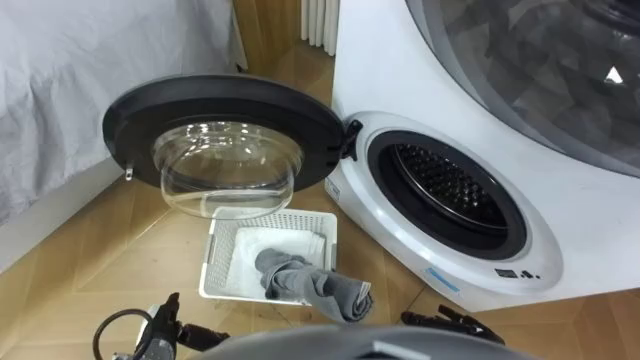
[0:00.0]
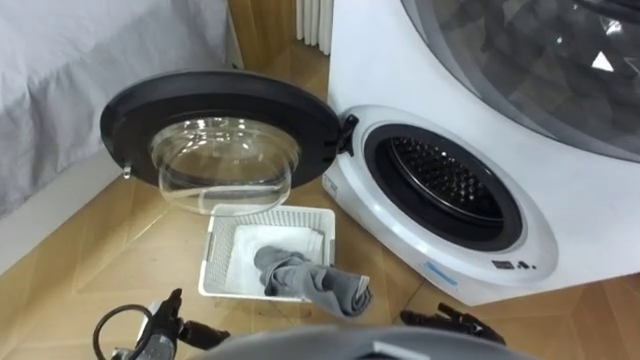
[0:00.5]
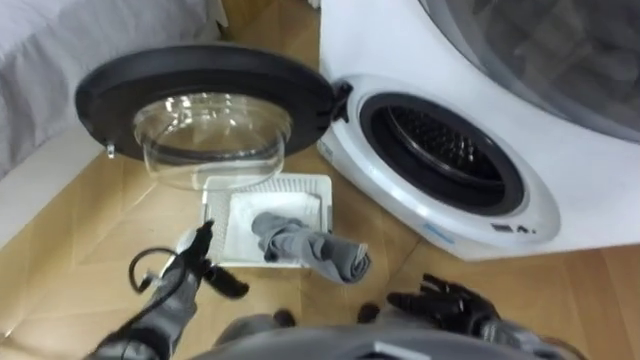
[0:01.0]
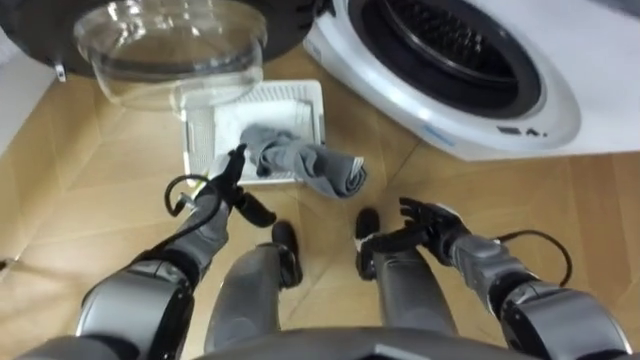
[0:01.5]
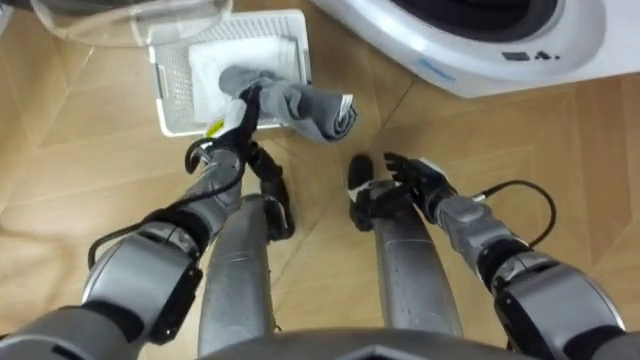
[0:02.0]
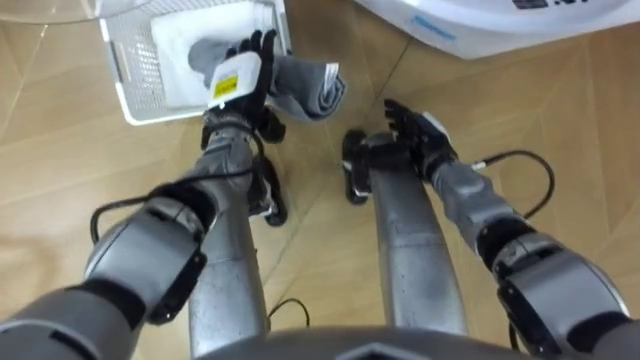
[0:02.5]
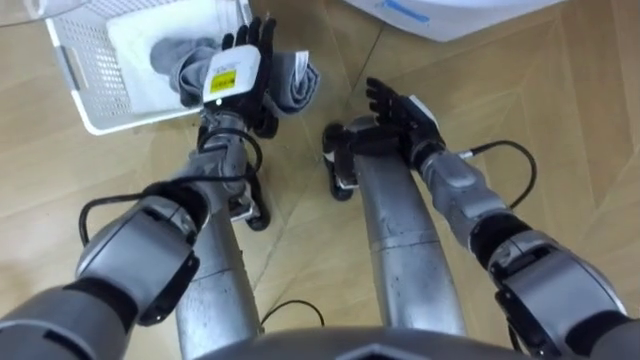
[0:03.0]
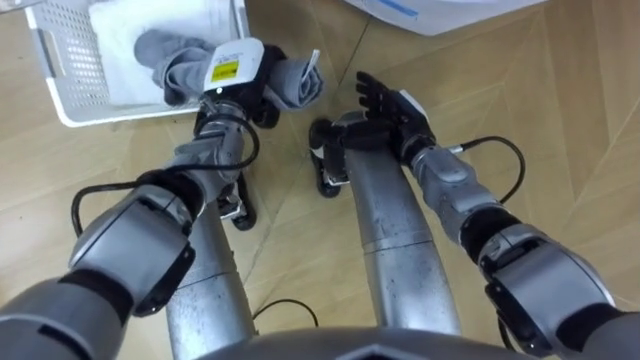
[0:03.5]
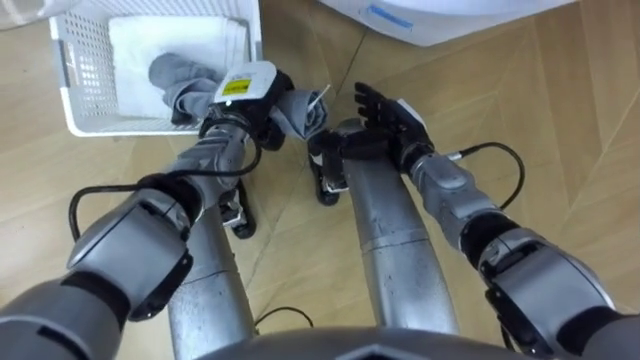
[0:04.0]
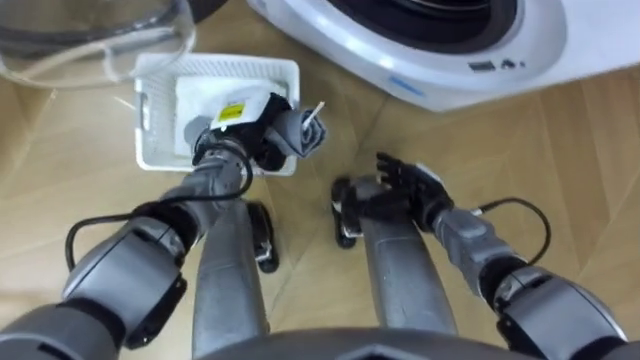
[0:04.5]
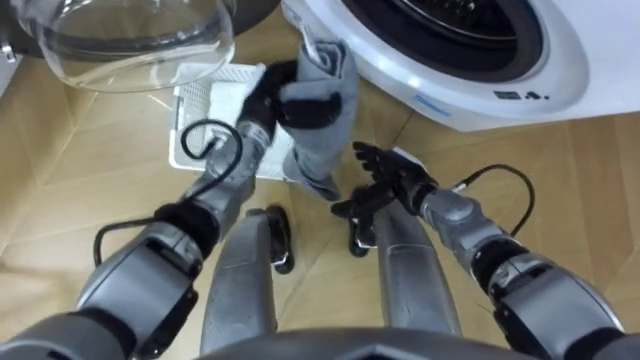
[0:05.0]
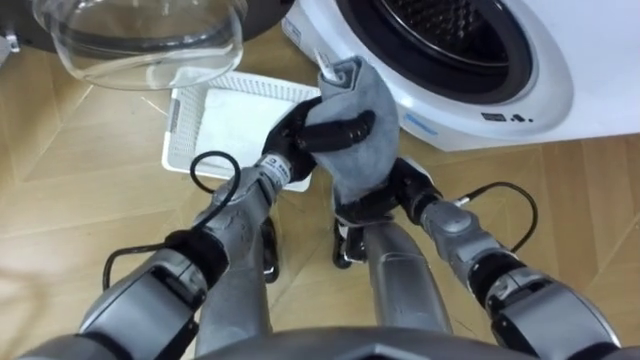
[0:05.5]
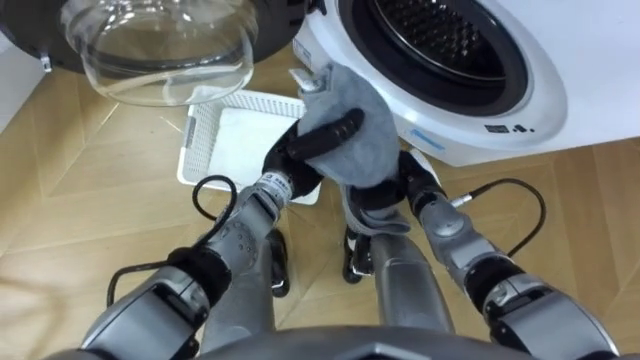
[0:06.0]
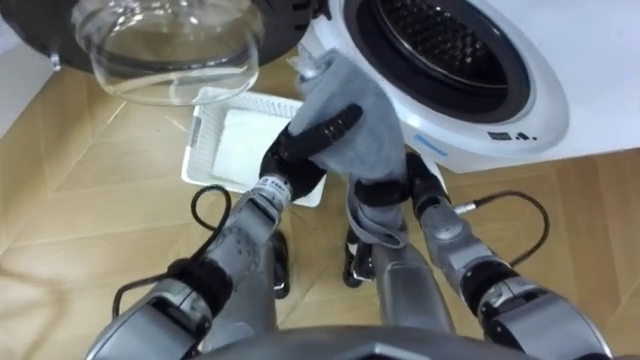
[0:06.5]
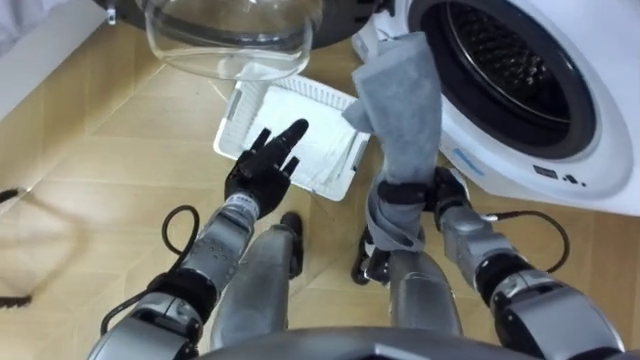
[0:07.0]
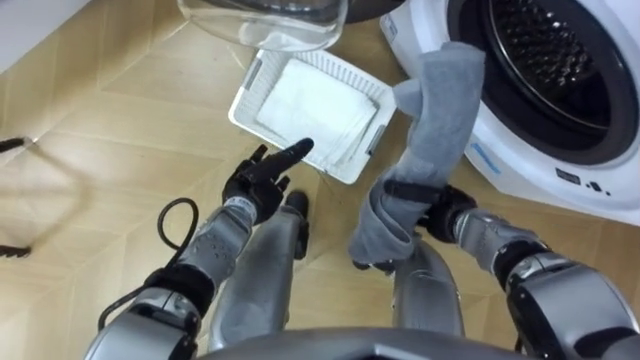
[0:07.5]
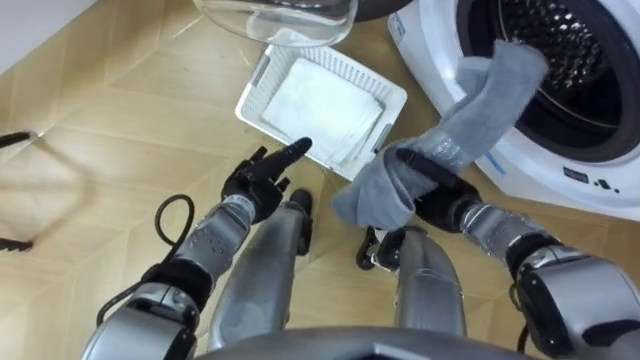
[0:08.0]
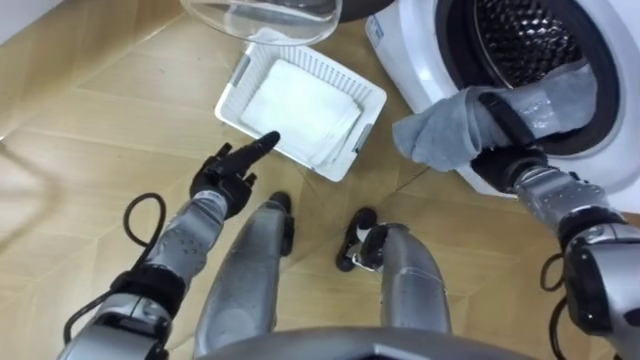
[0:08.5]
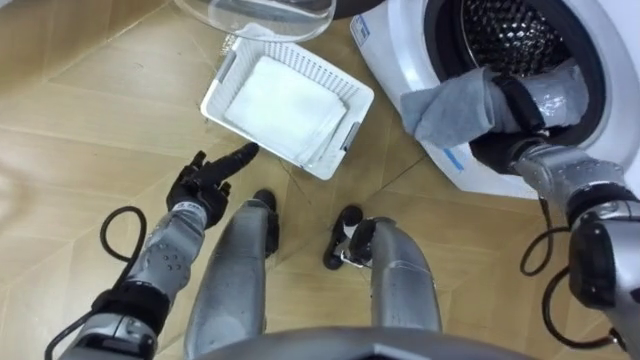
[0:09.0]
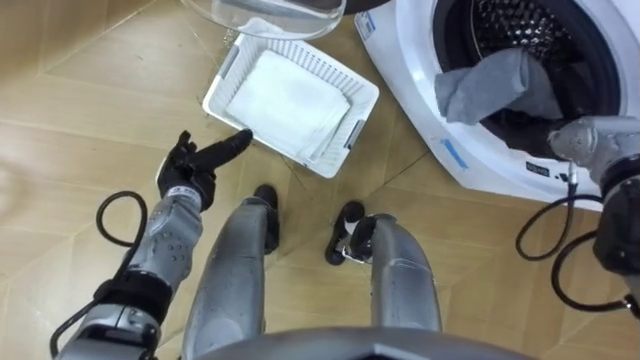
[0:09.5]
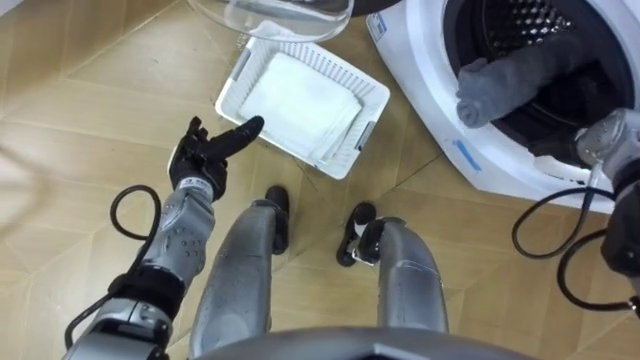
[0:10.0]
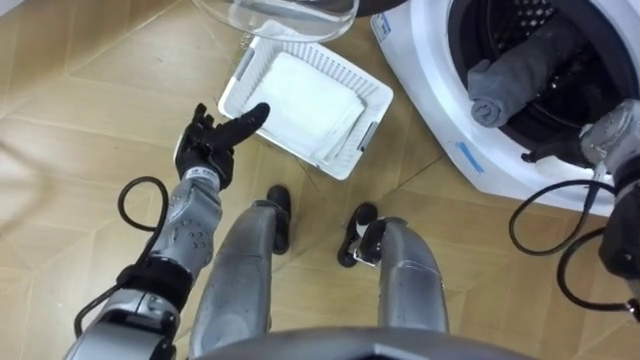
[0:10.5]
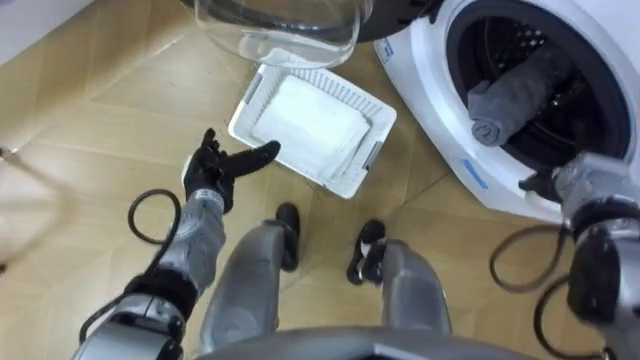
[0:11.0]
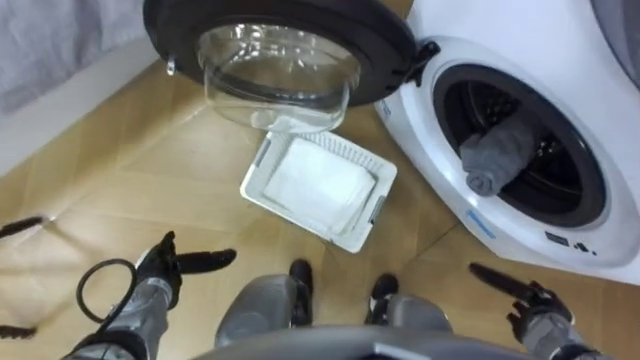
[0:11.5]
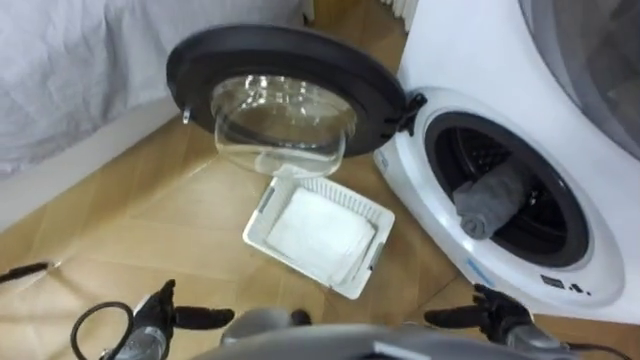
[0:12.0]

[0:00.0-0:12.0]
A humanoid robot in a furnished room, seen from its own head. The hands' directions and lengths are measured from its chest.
Task of the whole recording: Take the towel from the basket and put it into the washing machine.
0:02.0 to 0:04.0: The right hand is displaced upward, forward and to the left by approximately 10 cm; the left hand ends up some 5 cm from where it was, and closes.
0:04.0 to 0:06.0: The right hand ends up about 10 cm from where it was, and closes its fingers. Meanwhile the left hand travels backward and to the right by some 10 cm.
0:06.0 to 0:08.0: The left hand is displaced to the left and downward by about 10 cm, and opens its fingers. The right hand goes roughly 5 cm to the right.
0:08.0 to 0:10.0: The right hand shifts approximately 20 cm to the right and upward, and opens its fingers; the left hand moves to the left, some 5 cm.
0:10.0 to 0:12.0: The hands both shift backward and downward by approximately 25 cm.

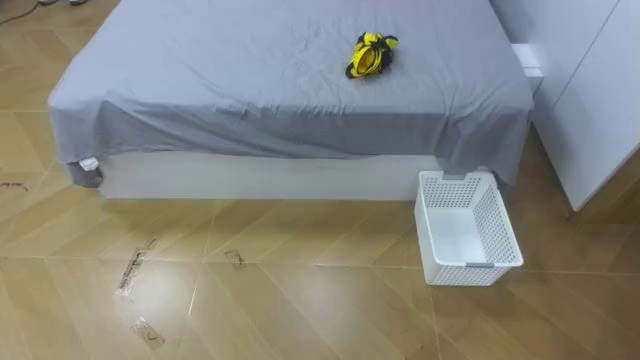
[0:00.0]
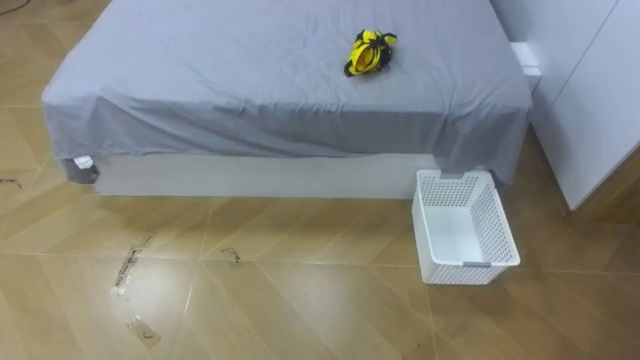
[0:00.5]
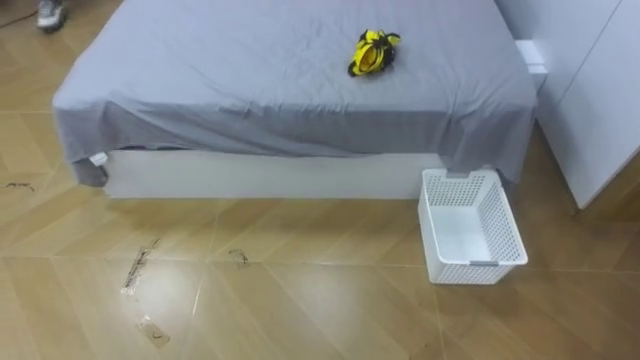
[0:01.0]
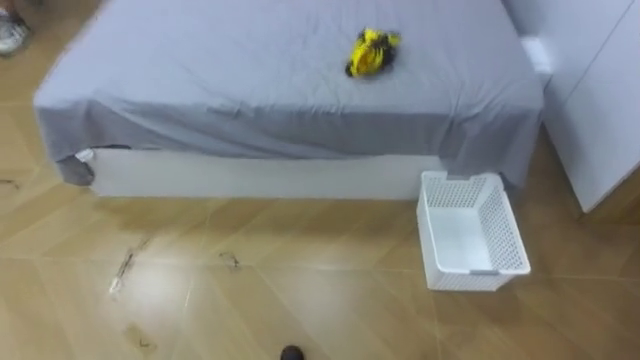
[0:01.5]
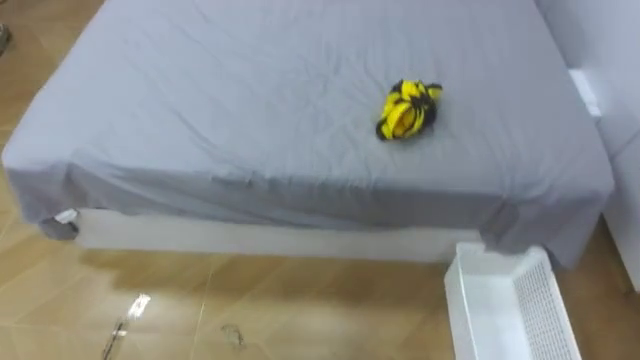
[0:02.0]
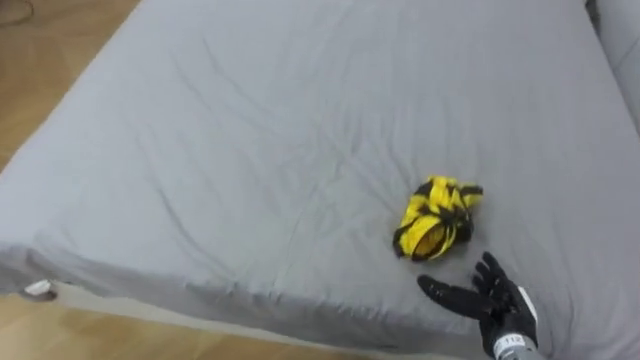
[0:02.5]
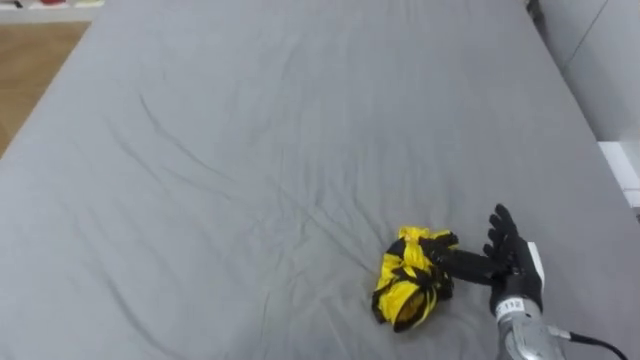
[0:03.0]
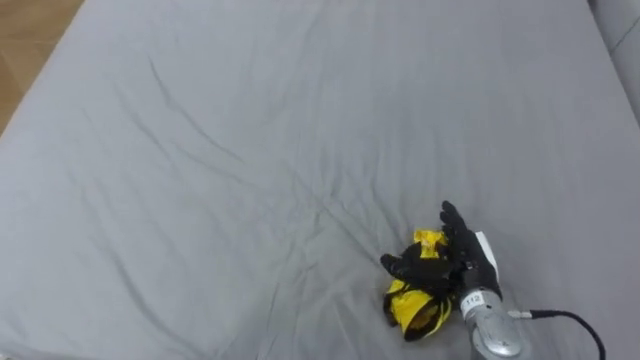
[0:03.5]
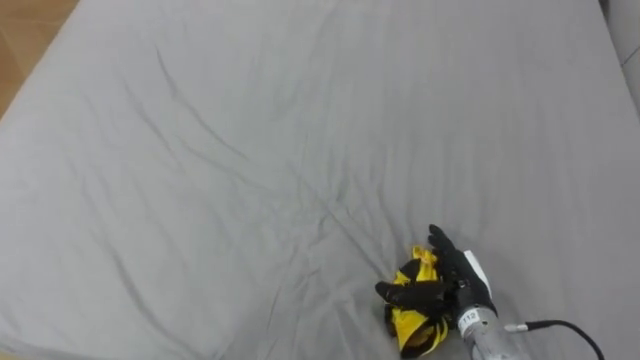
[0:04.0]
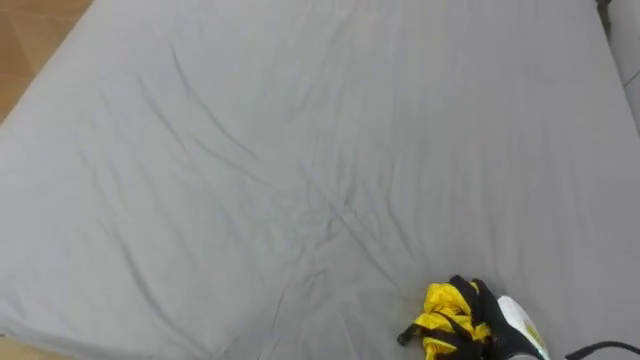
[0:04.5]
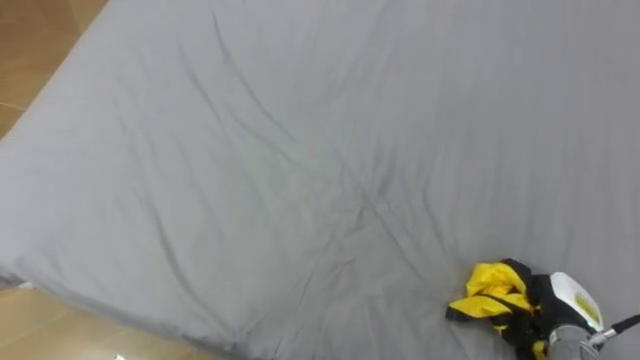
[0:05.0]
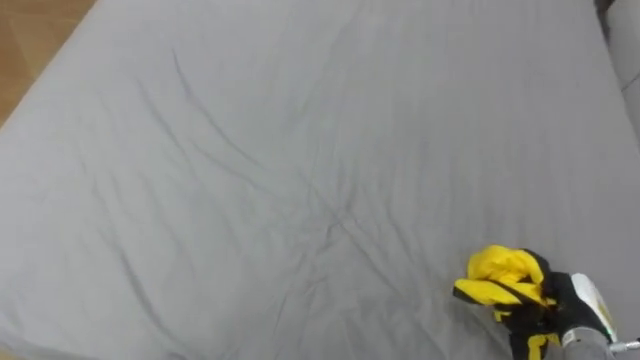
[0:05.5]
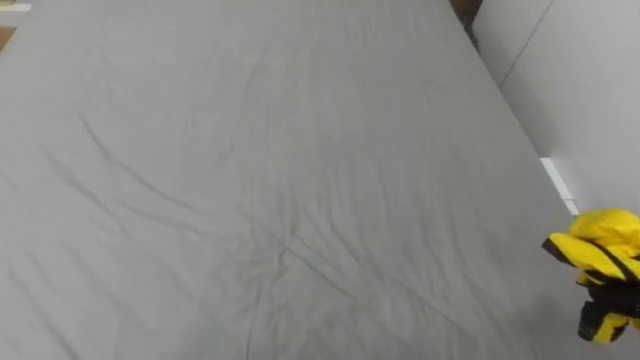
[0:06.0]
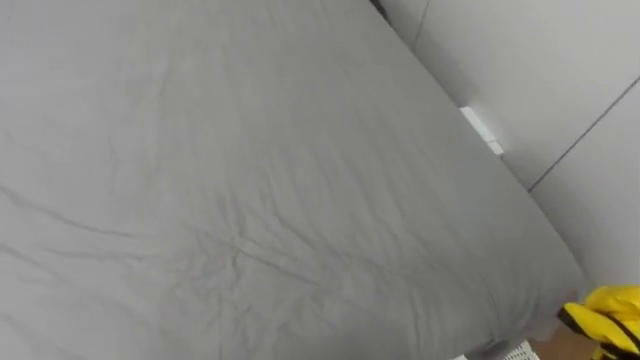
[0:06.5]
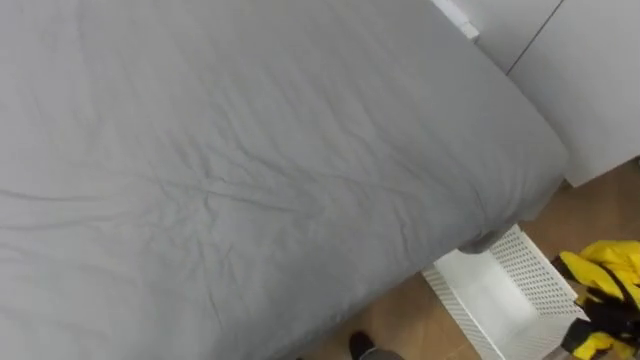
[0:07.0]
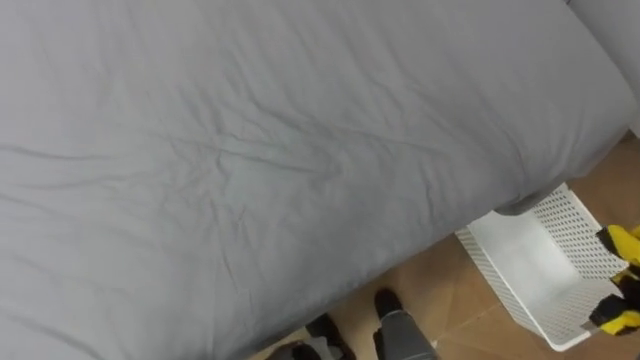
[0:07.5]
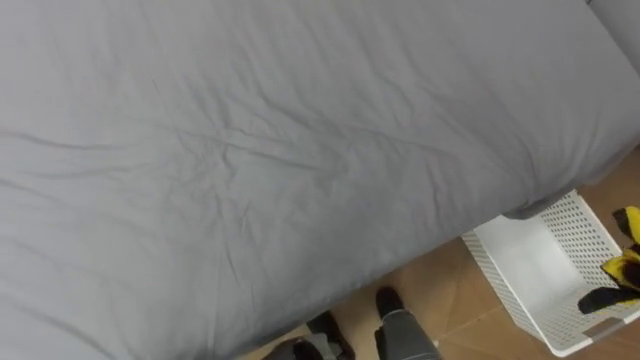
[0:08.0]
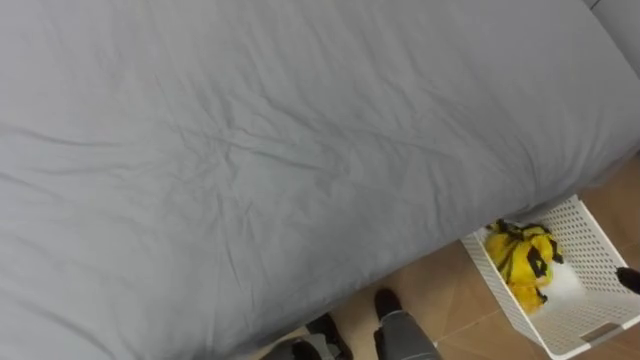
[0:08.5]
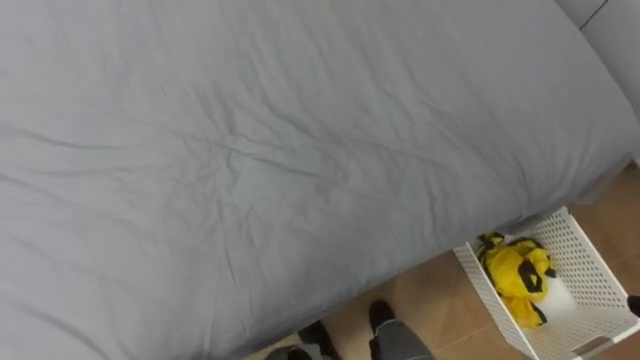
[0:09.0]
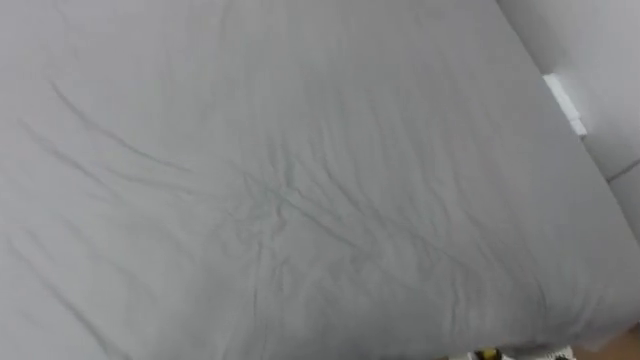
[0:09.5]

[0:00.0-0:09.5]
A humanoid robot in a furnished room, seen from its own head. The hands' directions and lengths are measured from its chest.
Task of the whole recording: Pick up the yellow clothes on the bed and place them into the white basket on the right.
0:04.0 to 0:05.5: The right hand shifts roughly 15 cm to the right, and closes up.
0:05.5 to 0:07.5: The robot turns to its right by approximately 25 degrees.
